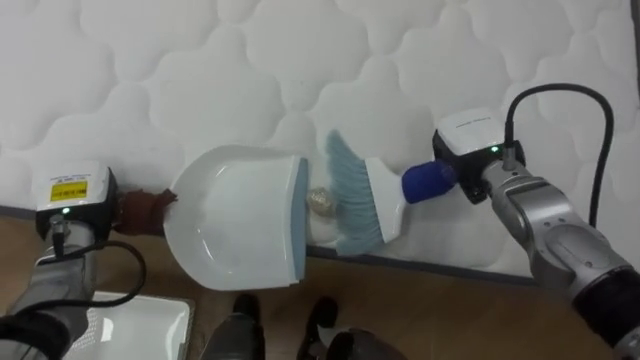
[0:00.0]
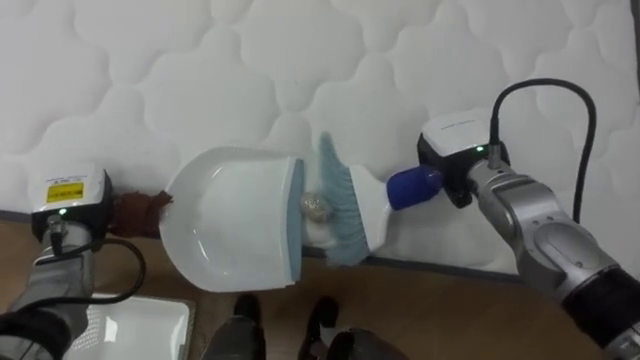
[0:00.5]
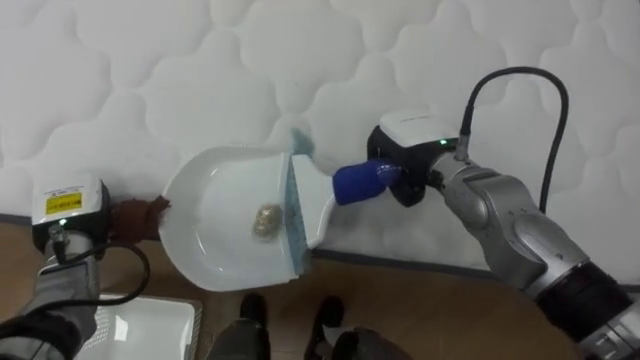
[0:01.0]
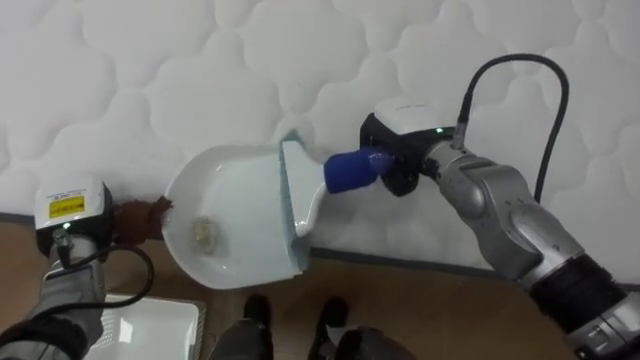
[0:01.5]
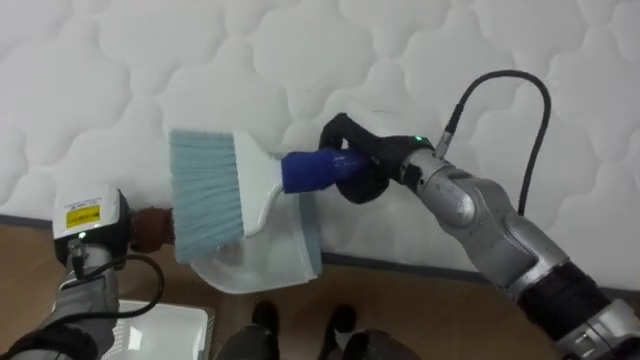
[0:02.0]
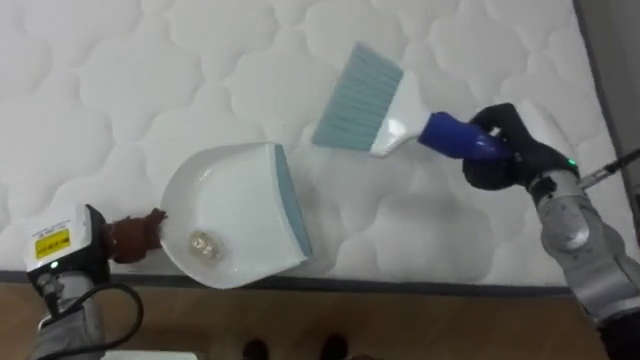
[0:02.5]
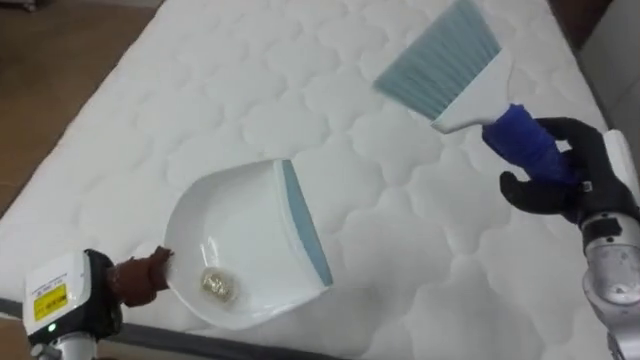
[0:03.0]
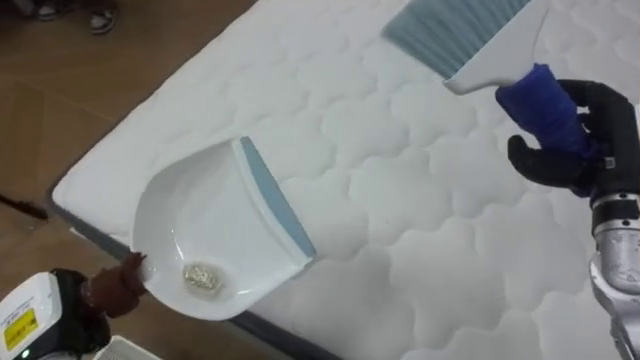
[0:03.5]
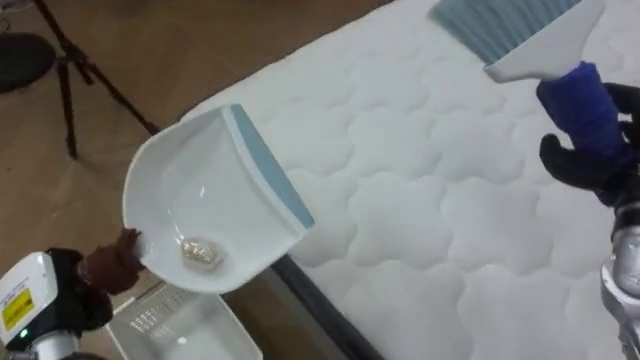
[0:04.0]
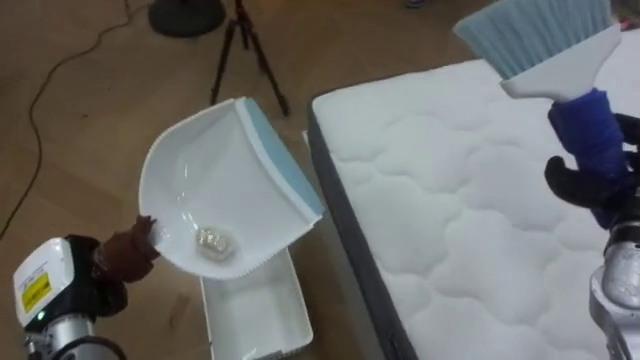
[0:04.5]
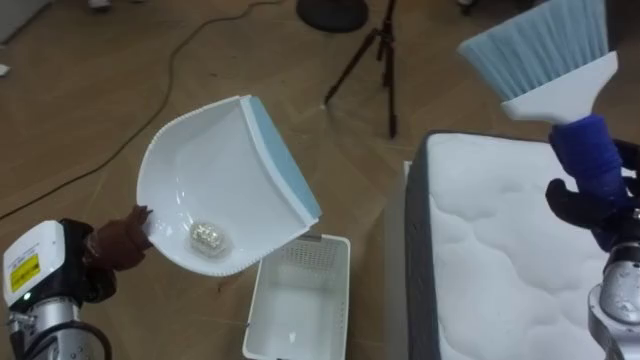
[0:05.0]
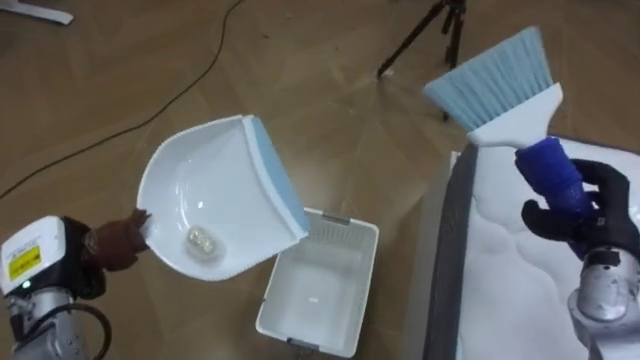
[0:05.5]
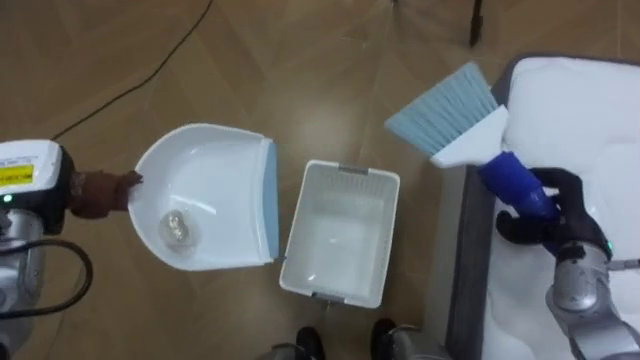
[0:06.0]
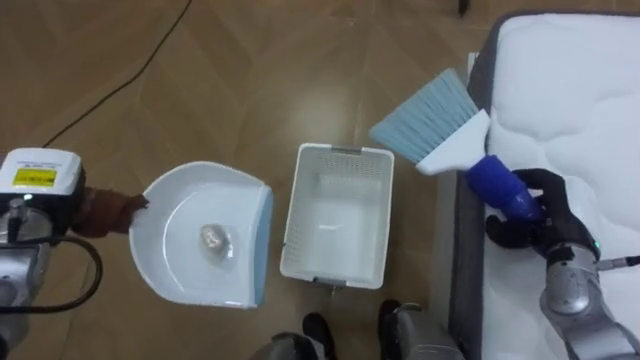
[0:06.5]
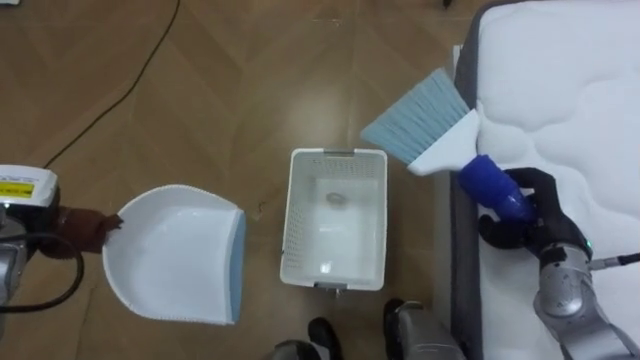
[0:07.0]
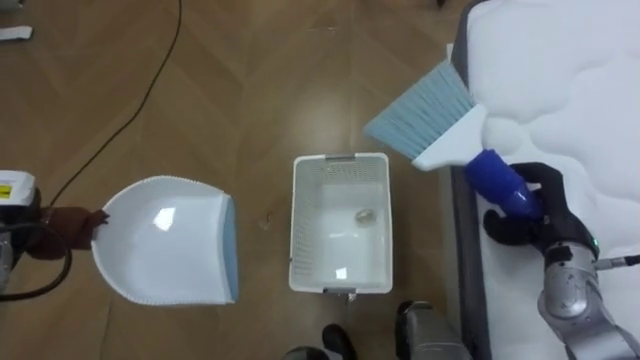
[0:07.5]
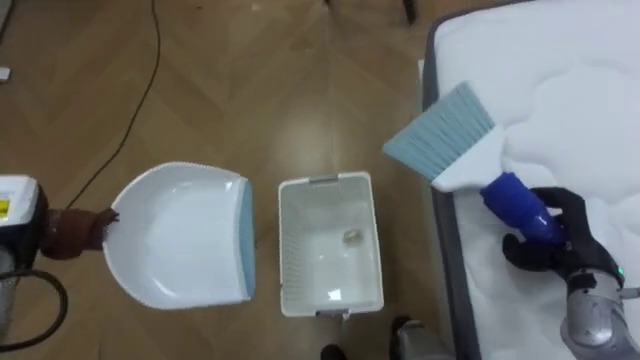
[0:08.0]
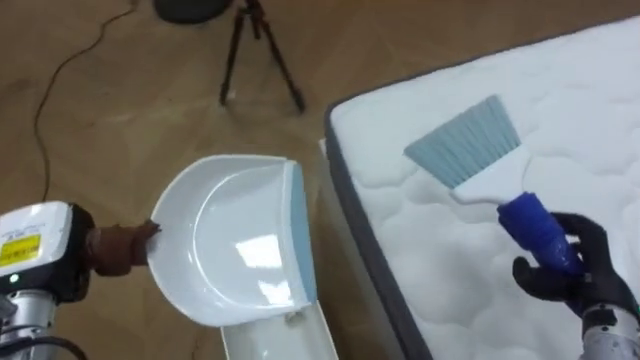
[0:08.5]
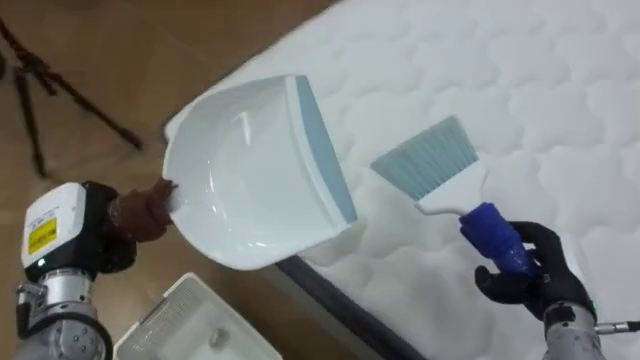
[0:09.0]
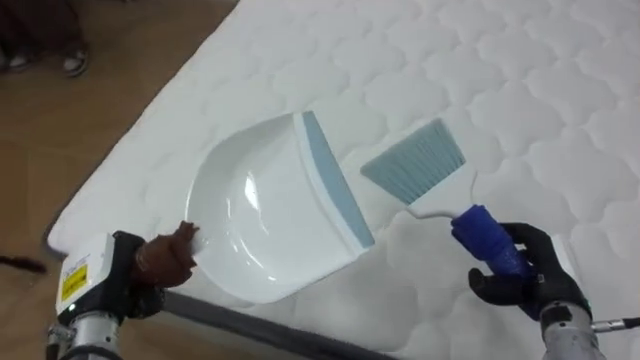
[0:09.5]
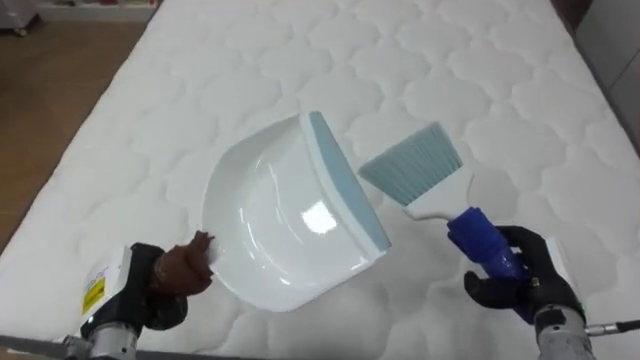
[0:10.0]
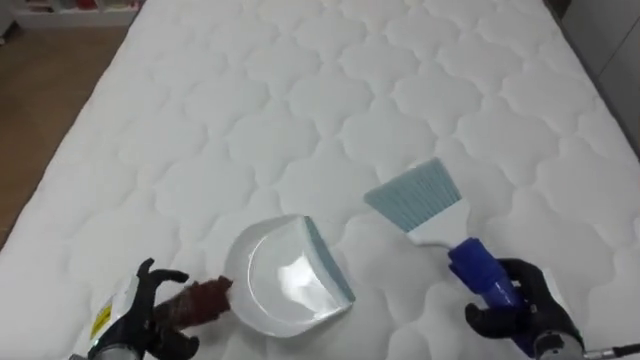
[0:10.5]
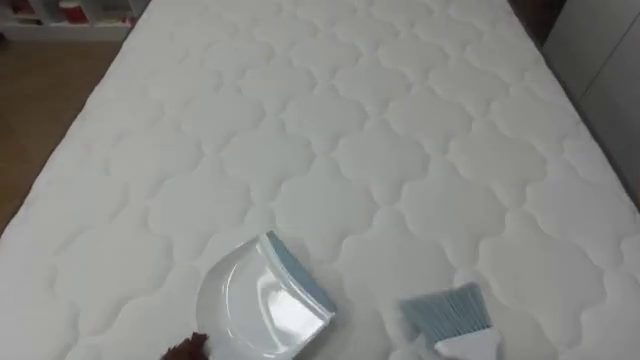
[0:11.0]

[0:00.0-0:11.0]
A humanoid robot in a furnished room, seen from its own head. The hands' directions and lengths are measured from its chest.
Task of the whole recording: Pick up the brush on your right and the dustpan on your left. Use the brush to sweep the crumpled paper on the bed into the dustpan, then turn left and empty it into the basket.
0:00.0 to 0:02.0: The right hand is displaced to the left by roughly 10 cm.
0:02.0 to 0:03.5: The robot's body swings approximately 15 degrees to its left. The left hand is displaced backward by some 15 cm. The right hand moves to the right, roughly 25 cm.
0:03.5 to 0:05.5: The robot's body swings approximately 85 degrees to its left. The left hand travels forward by some 5 cm.
0:05.5 to 0:07.5: The left hand moves forward and to the left, about 10 cm. Meanwhile the right hand changes place by roughly 5 cm.
0:07.5 to 0:09.0: The robot rotates some 70 degrees to its right. The right hand goes approximately 5 cm backward; the left hand moves to the right, about 10 cm.
0:09.0 to 0:11.0: The robot faces roughly 35 degrees further to its right.

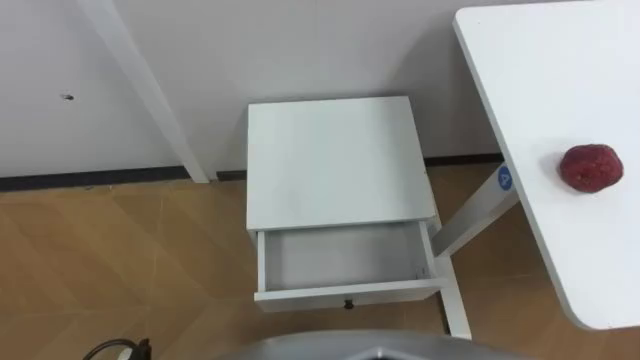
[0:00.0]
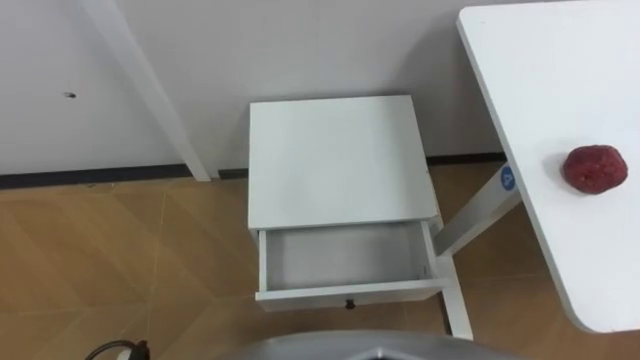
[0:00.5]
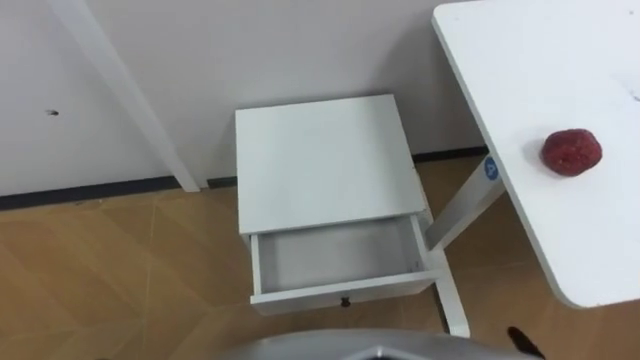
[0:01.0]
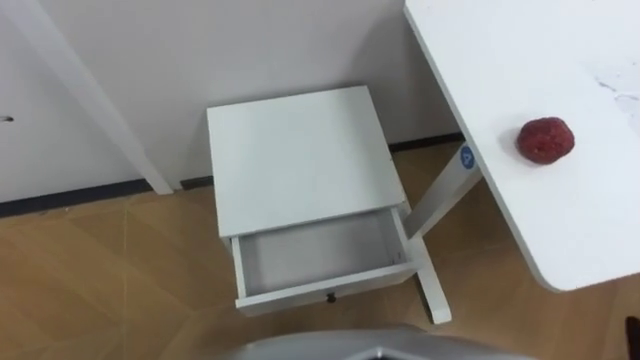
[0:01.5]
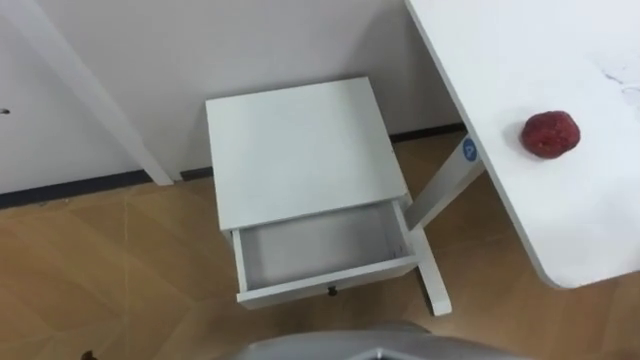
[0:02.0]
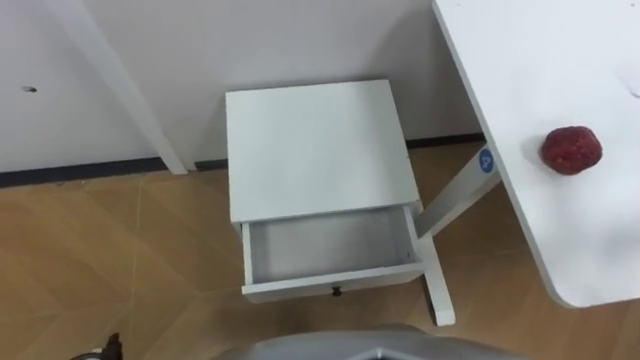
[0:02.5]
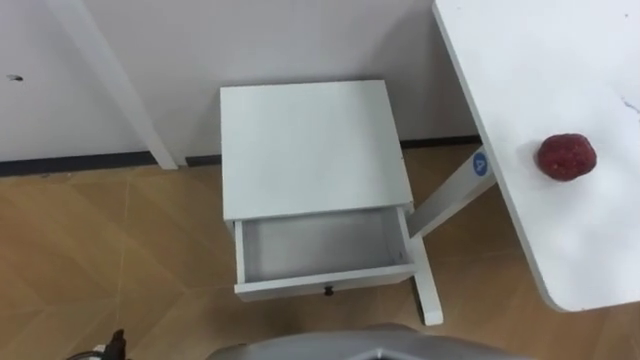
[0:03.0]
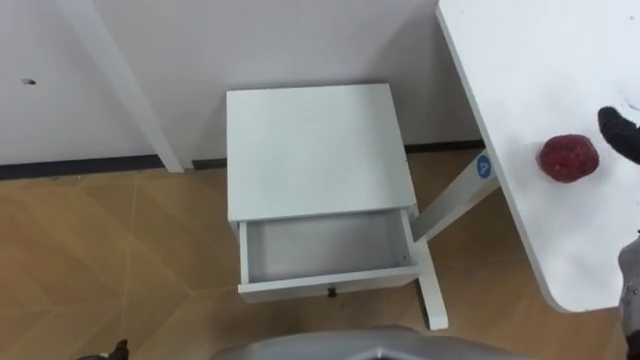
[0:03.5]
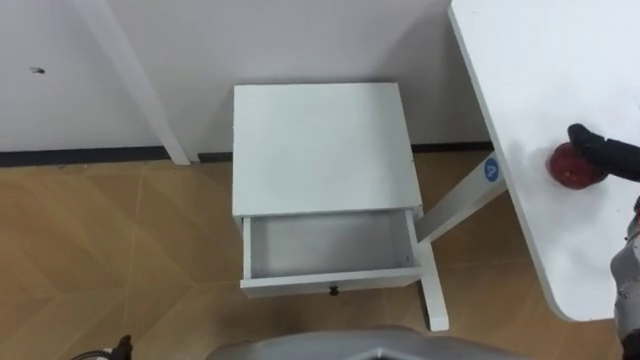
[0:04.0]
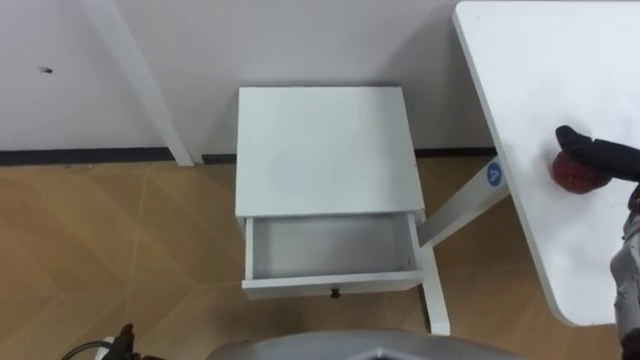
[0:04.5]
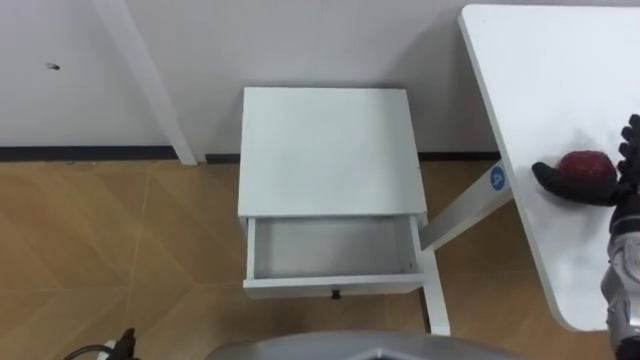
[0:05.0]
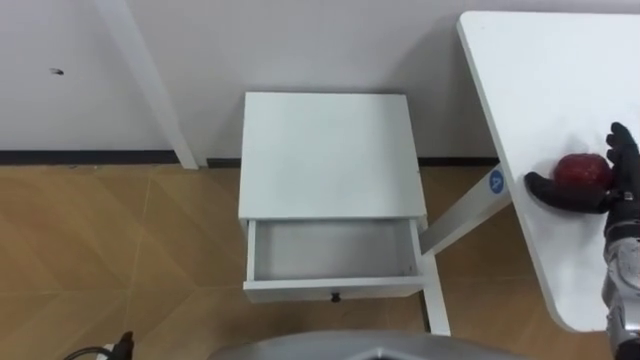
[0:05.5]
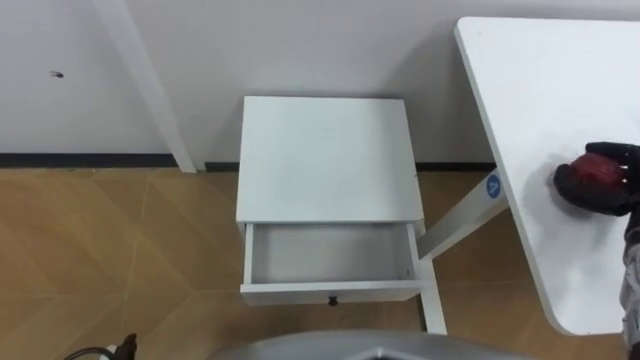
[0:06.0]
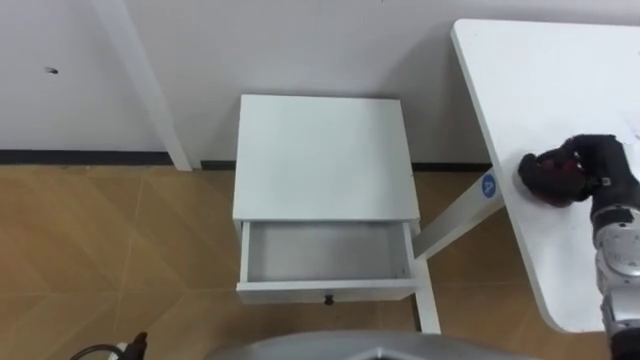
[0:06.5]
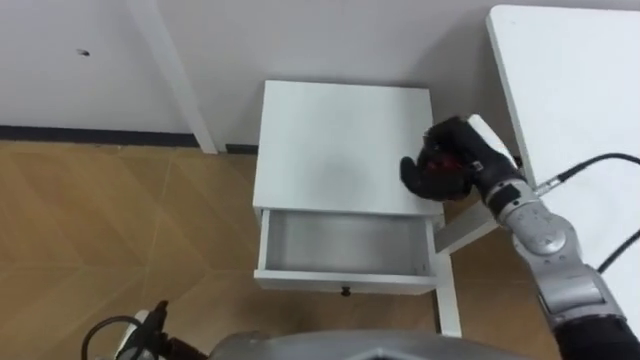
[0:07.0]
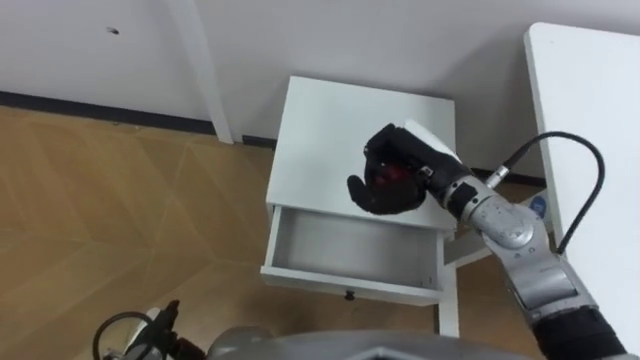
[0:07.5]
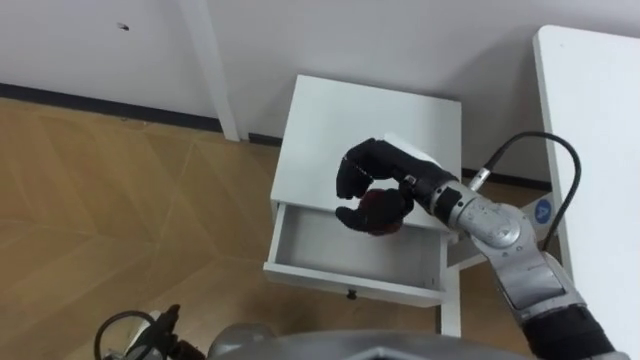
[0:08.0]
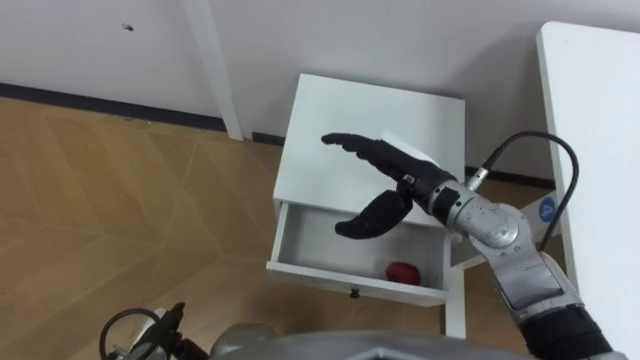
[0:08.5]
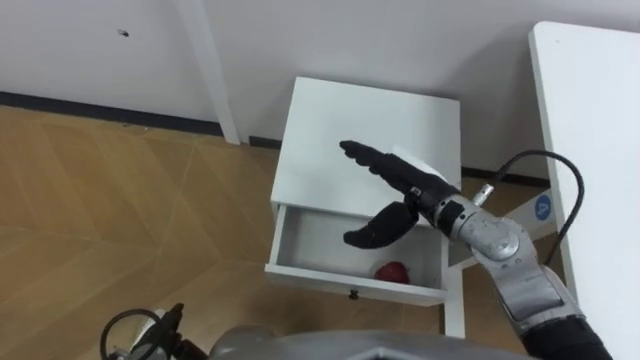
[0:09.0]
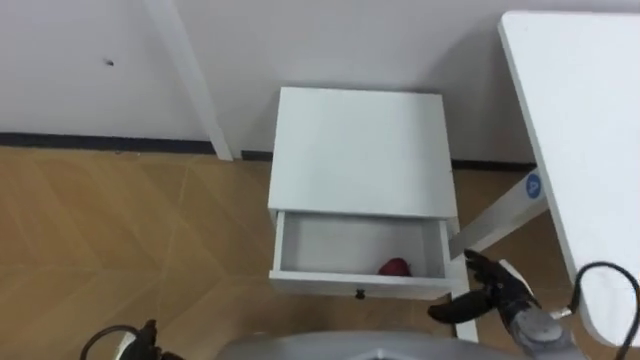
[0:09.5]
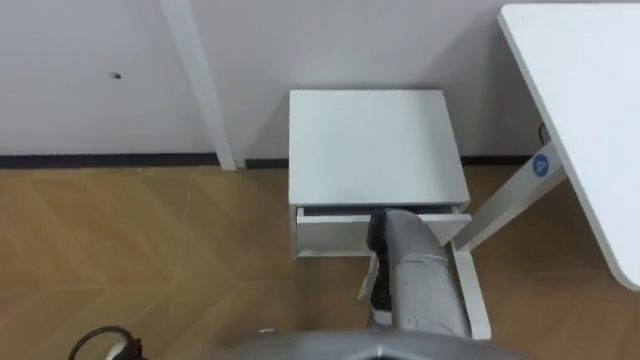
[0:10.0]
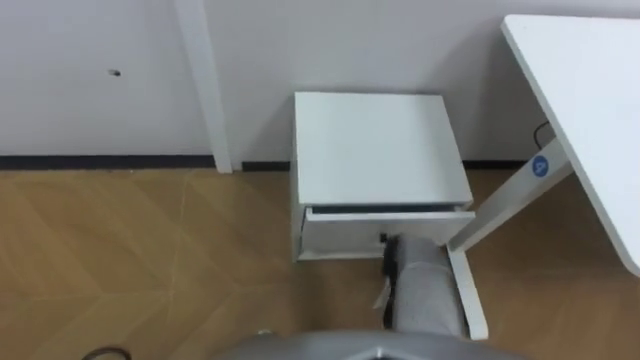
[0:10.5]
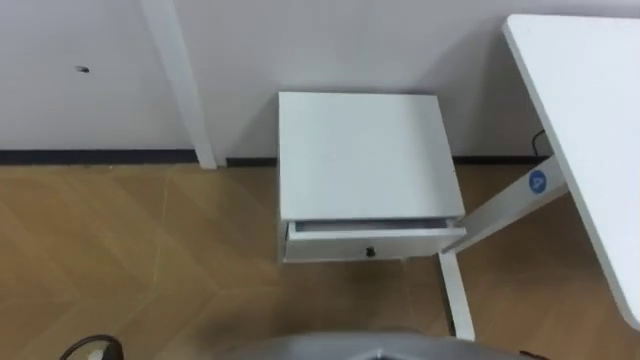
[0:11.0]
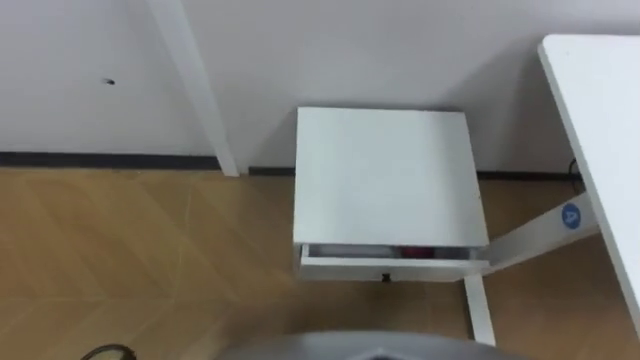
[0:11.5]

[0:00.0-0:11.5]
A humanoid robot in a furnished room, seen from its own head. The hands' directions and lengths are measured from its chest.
Task of the whole recording: Pick up the apple from the table, put it in the drawer, and close the drawer with leg.
0:06.0 to 0:07.5: The right hand is displaced to the left by about 25 cm, and closes.
0:07.5 to 0:09.5: The right hand moves downward, backward and to the right, approximately 25 cm, and opens.
